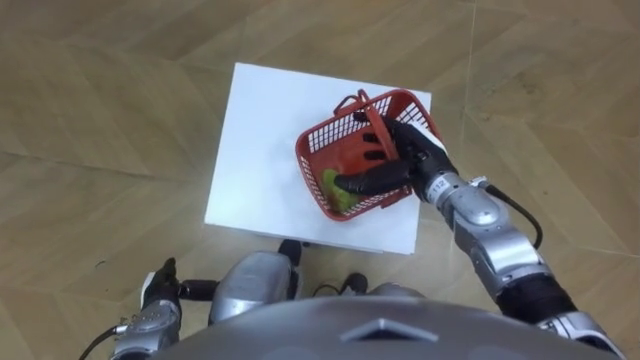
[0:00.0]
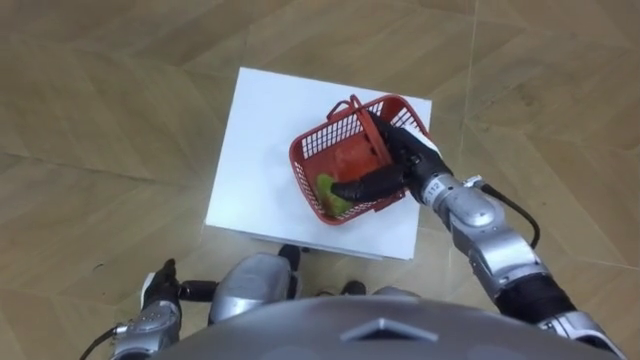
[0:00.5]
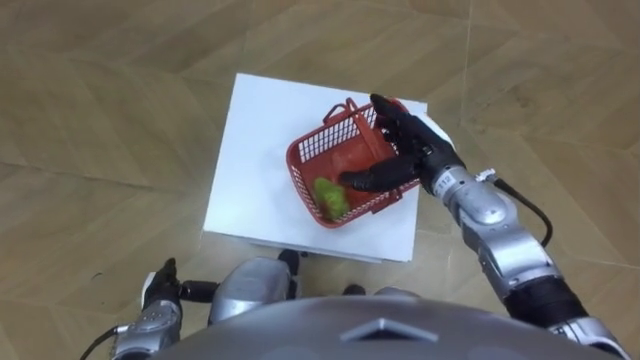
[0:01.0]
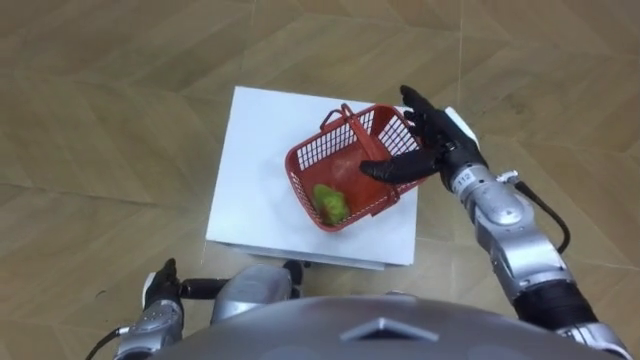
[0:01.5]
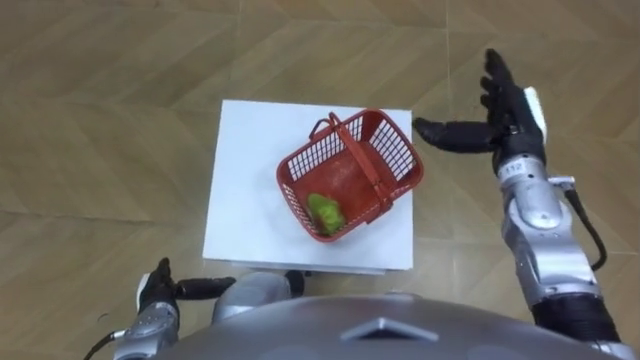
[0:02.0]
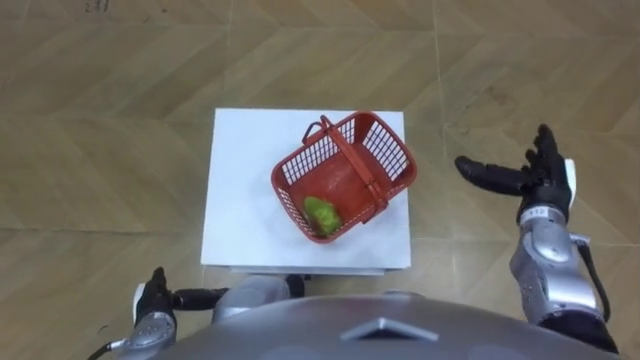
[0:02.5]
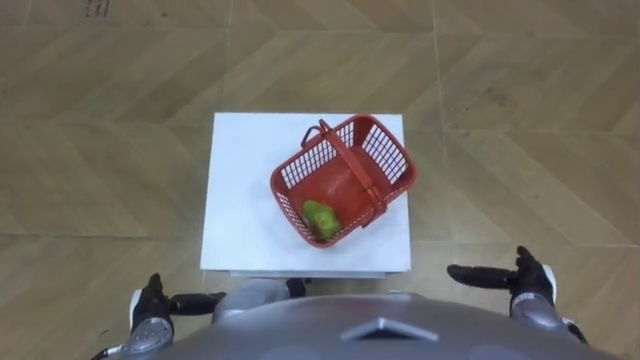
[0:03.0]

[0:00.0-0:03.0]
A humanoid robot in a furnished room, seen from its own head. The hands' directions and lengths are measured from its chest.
Task of the whole recording: Pick up the fruit basket from the floor and place it on the cabinet.
1.5 to 3.0 s: The right hand heads backward, to the right and downward, covering roughly 25 cm.

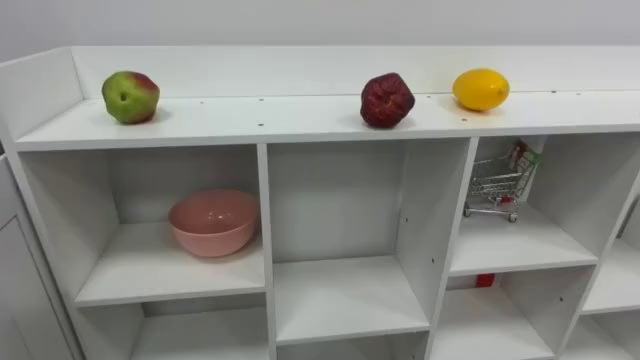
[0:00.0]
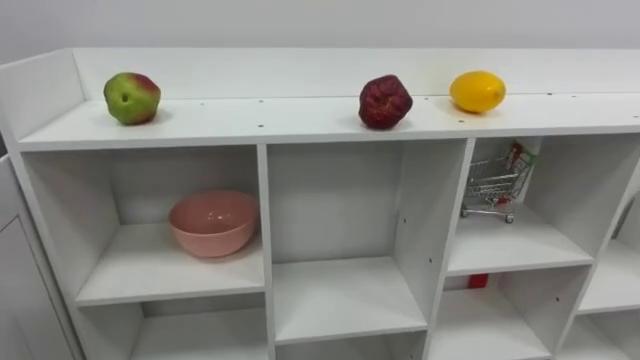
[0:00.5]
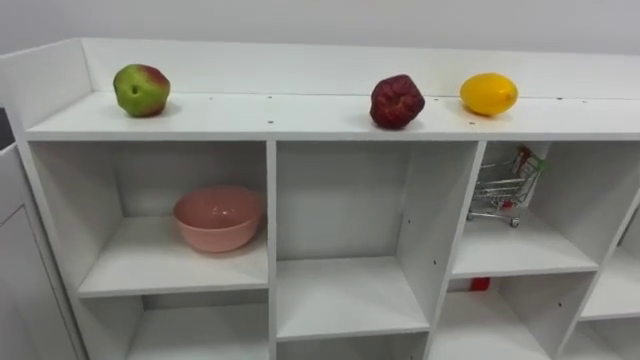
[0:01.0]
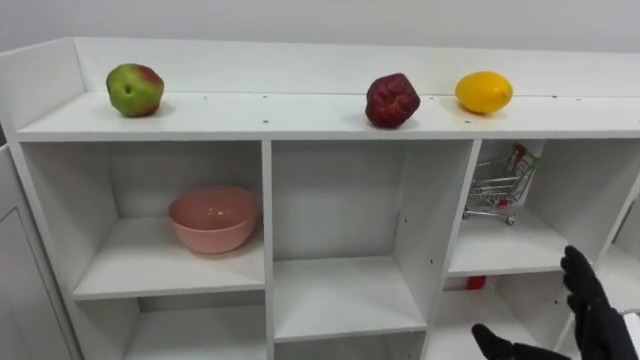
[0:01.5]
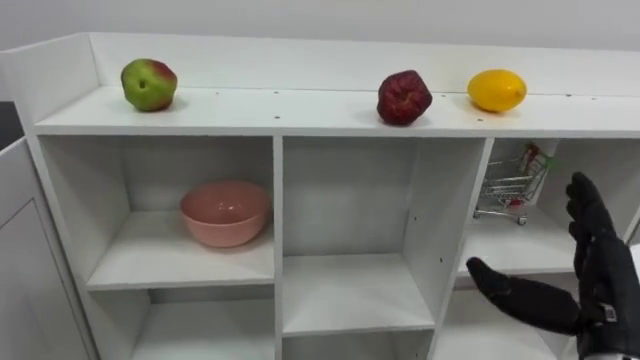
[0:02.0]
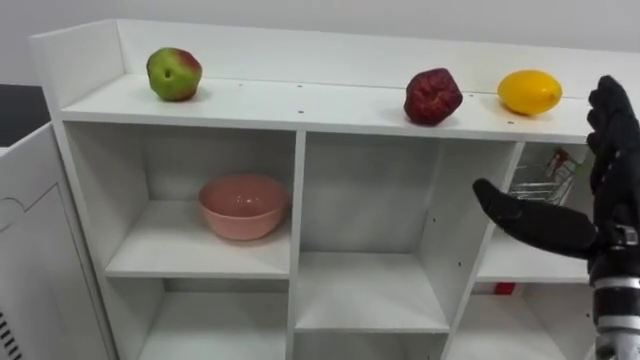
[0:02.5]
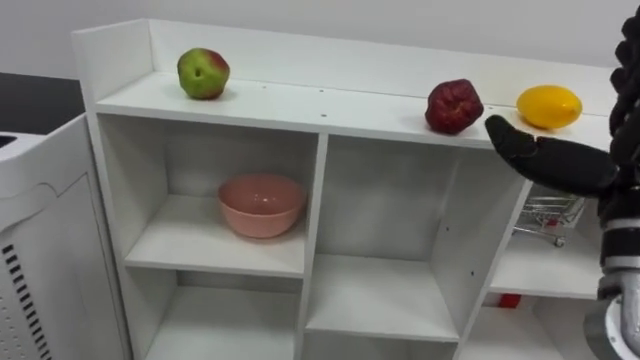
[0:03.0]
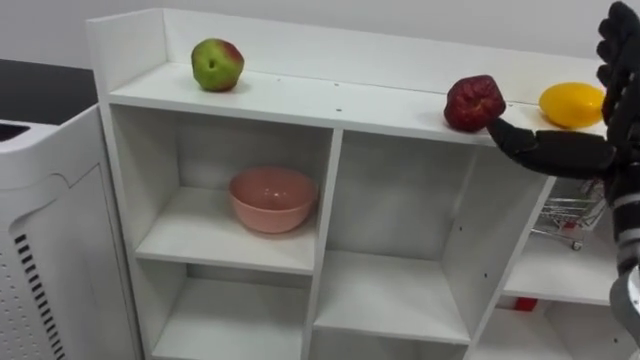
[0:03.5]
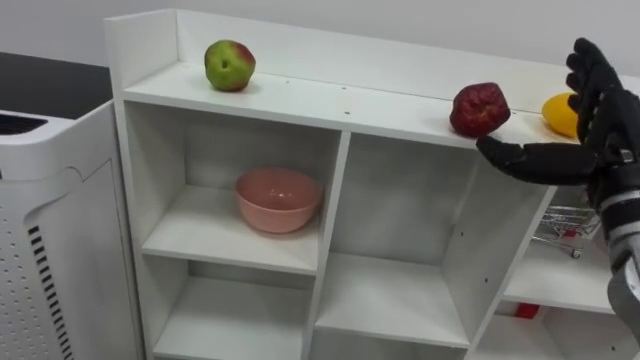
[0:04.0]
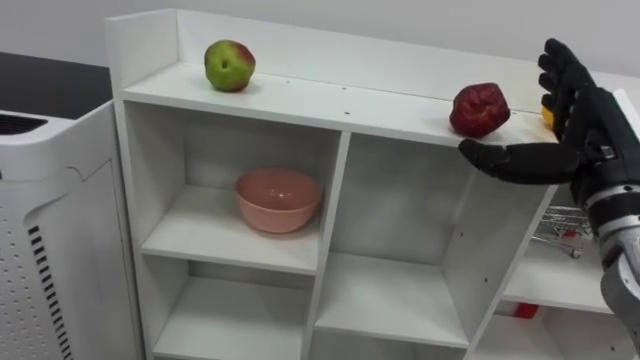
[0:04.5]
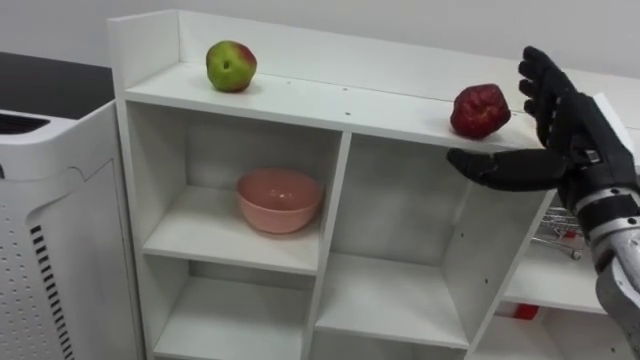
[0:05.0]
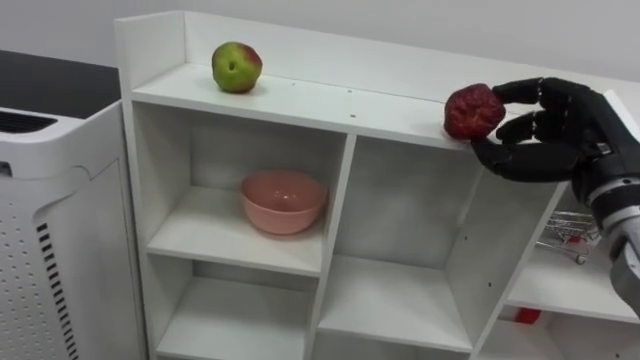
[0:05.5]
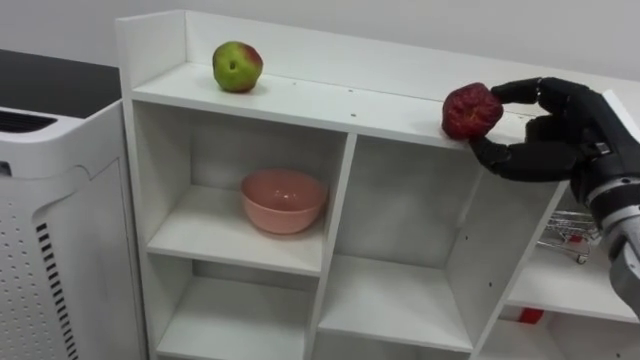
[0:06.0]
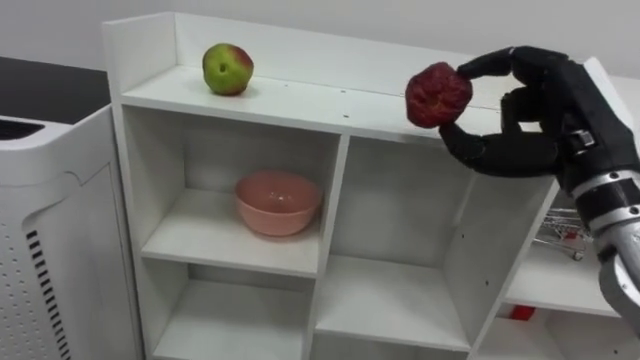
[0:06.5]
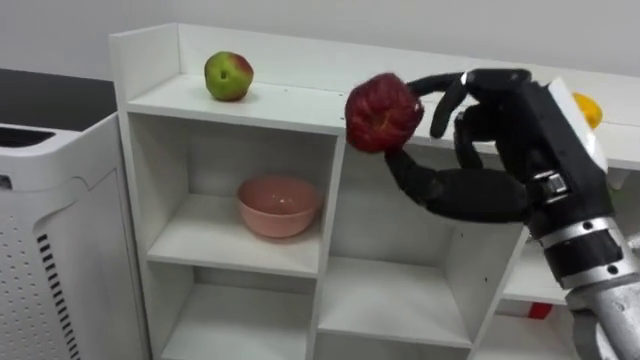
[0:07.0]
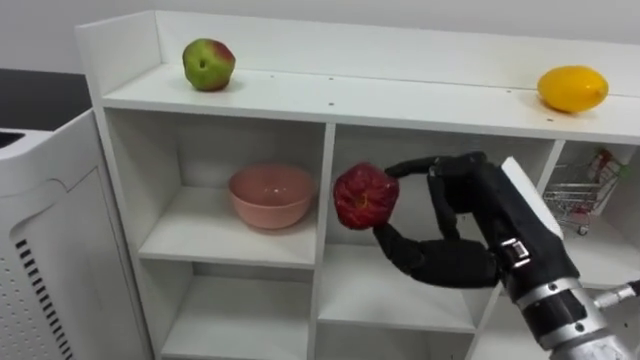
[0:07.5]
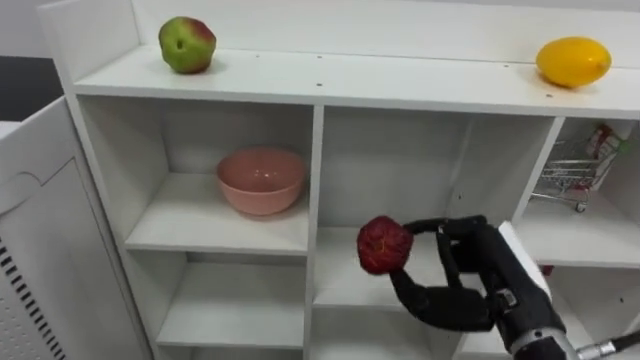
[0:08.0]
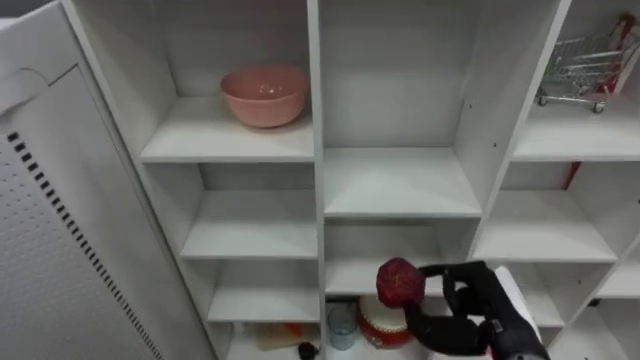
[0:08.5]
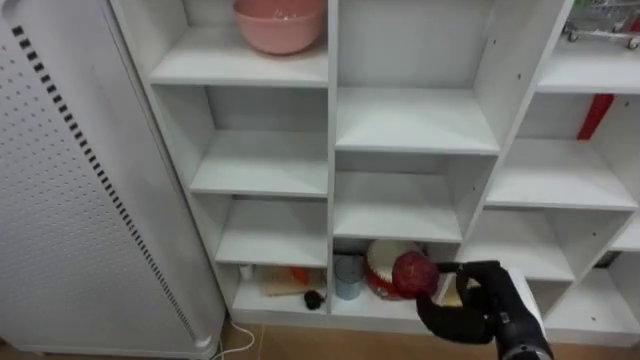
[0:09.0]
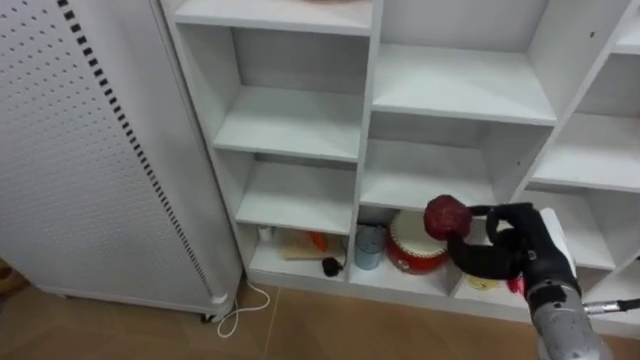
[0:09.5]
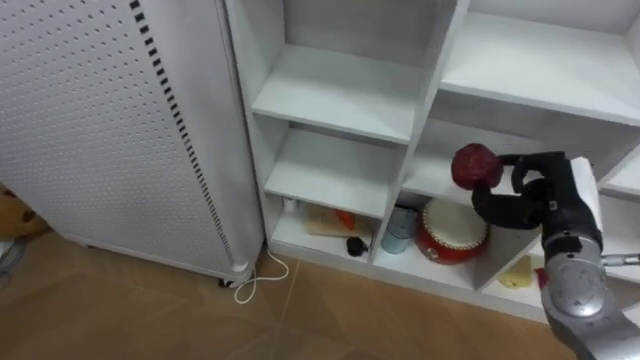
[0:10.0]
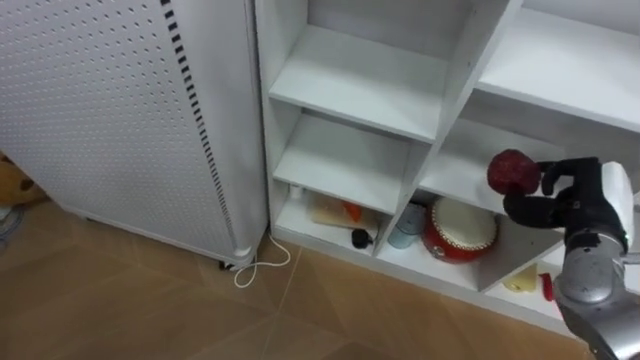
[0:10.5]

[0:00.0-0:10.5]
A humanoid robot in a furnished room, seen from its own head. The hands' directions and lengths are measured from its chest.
Task of the whole recording: Put the apple in the cell in the second column from the left and the second row from the top.
2.0 to 4.0 s: The right hand shifts roughly 15 cm upward and forward.
4.0 to 6.5 s: The right hand shifts approximately 5 cm to the left, and closes up.
6.5 to 8.5 s: The right hand travels downward by some 20 cm.
8.5 to 10.5 s: The right hand is displaced upward, to the right and forward by about 15 cm.

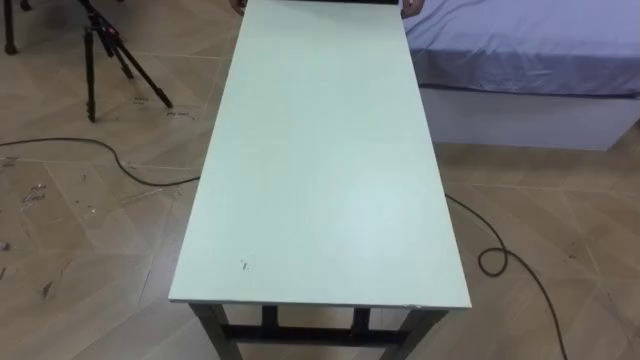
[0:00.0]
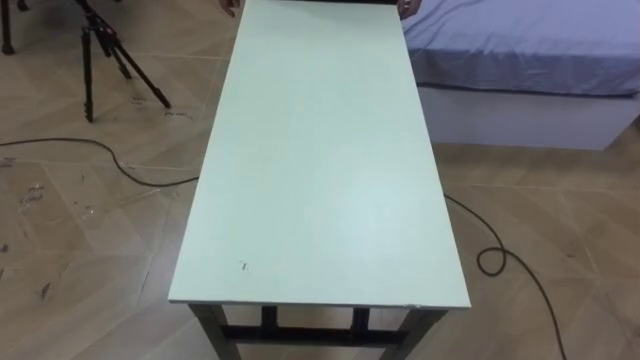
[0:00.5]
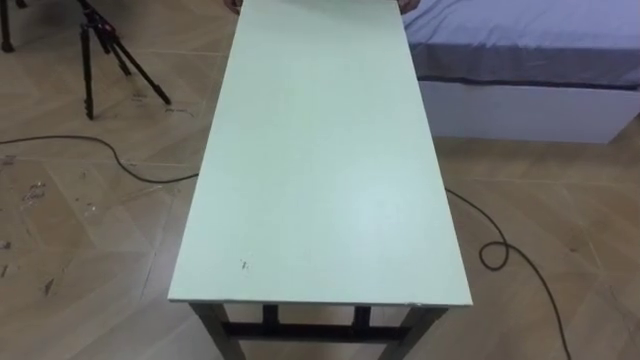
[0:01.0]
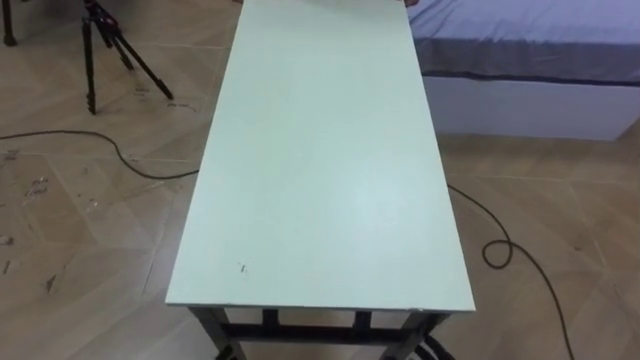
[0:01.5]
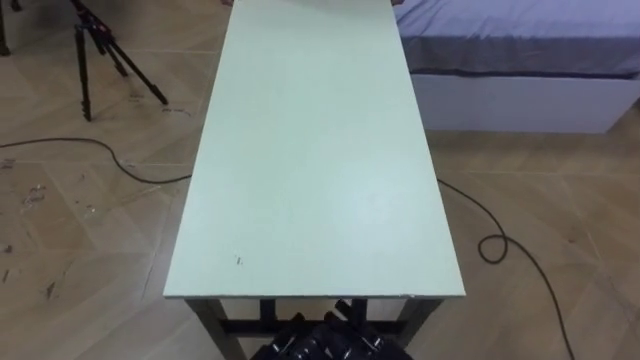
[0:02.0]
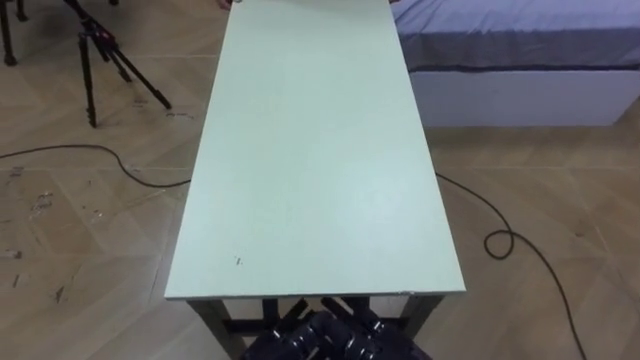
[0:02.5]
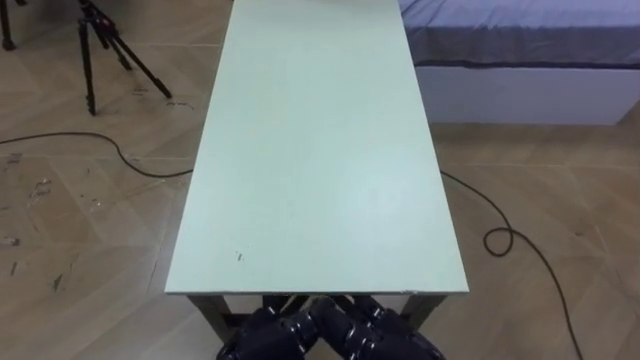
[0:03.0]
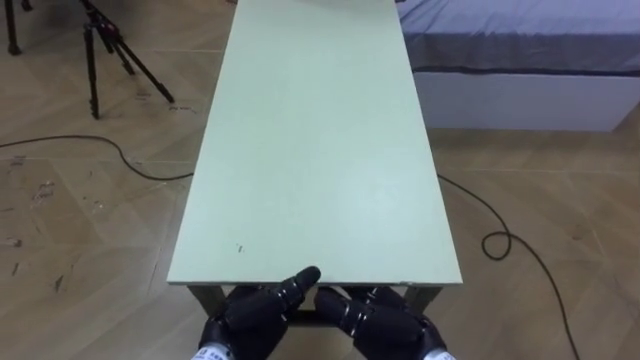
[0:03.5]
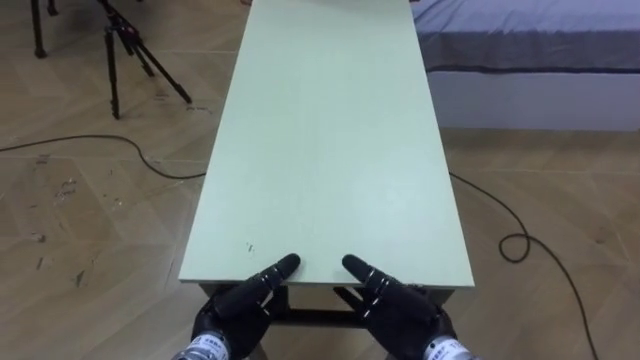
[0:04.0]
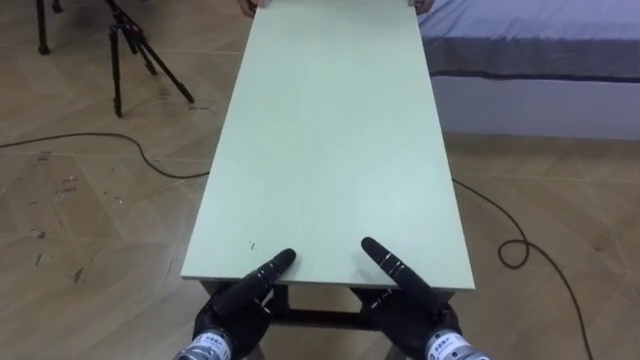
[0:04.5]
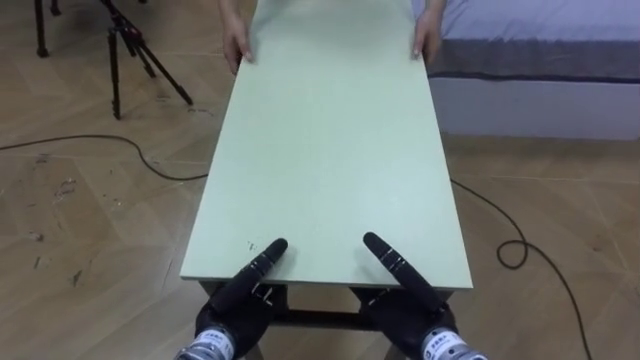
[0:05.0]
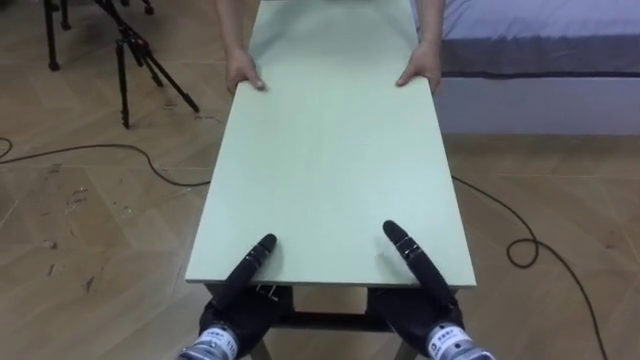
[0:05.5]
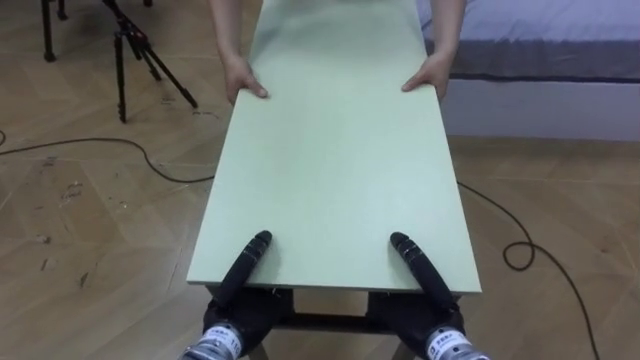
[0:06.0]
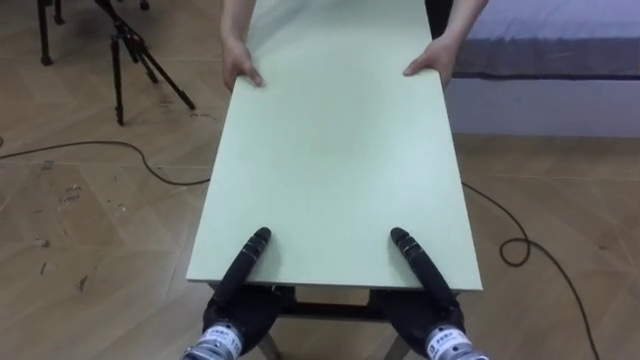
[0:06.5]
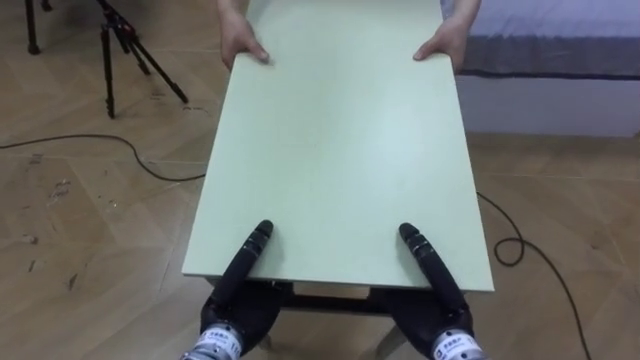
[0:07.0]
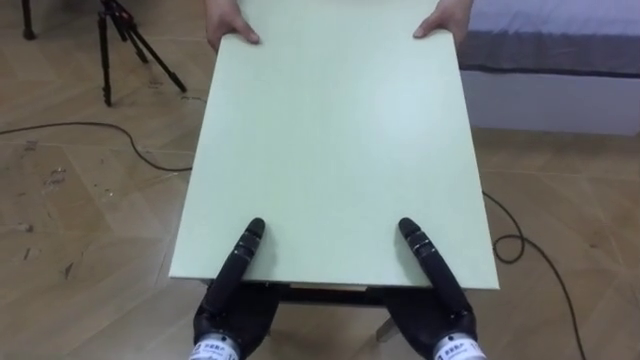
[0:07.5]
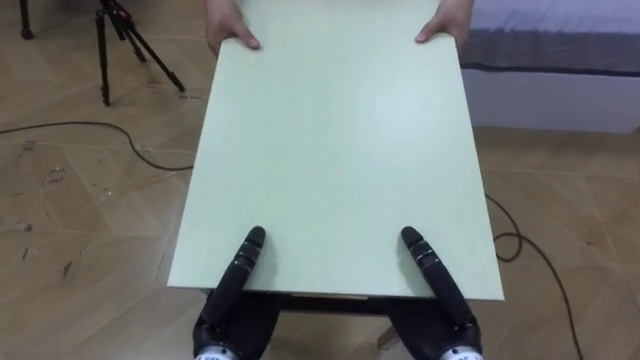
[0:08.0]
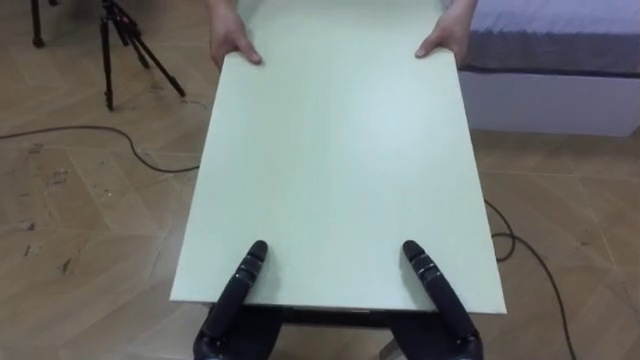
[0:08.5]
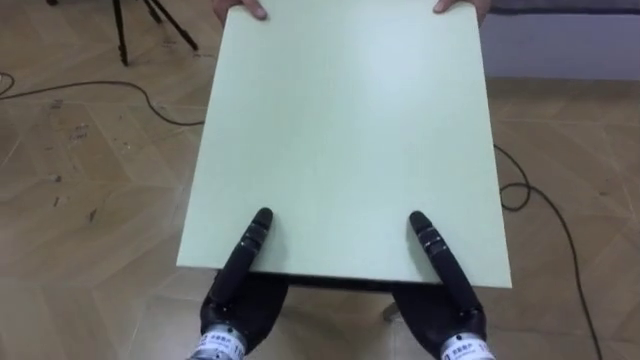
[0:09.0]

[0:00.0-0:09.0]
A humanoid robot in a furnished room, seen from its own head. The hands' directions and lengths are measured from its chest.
Task of the whole recording: Move the table to the back left with someone.
4.5 to 7.0 s: The left hand closes up. Meanwhile the right hand closes its fingers.
